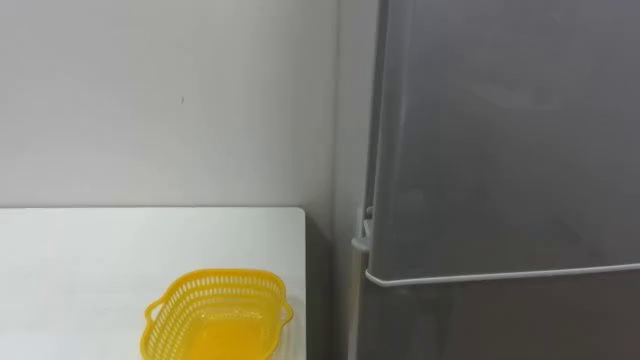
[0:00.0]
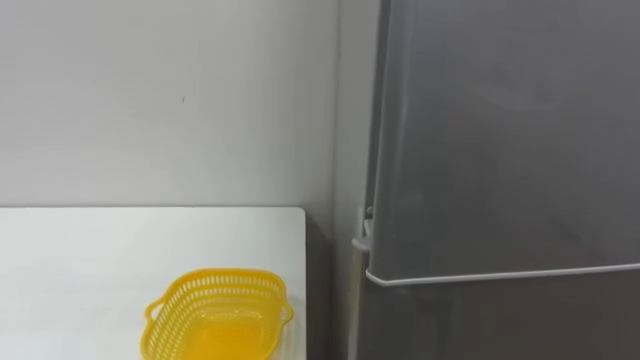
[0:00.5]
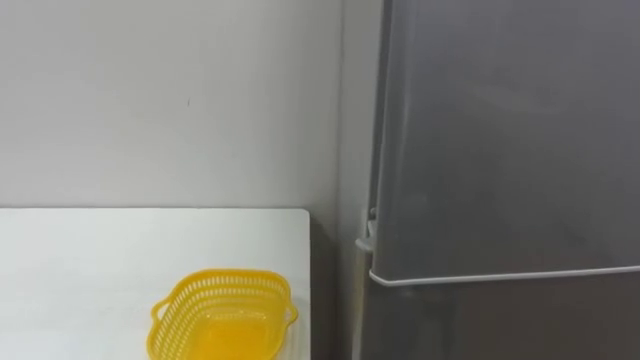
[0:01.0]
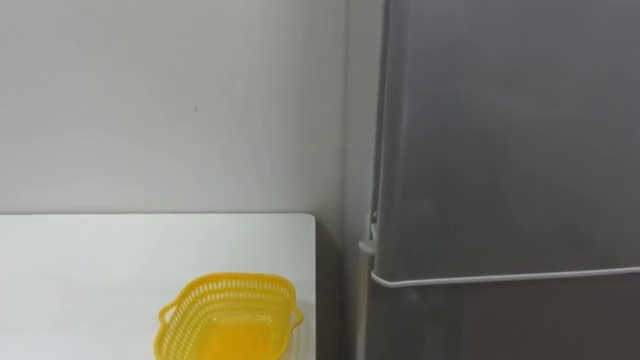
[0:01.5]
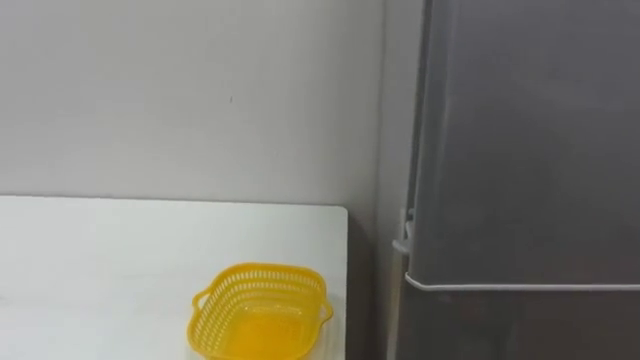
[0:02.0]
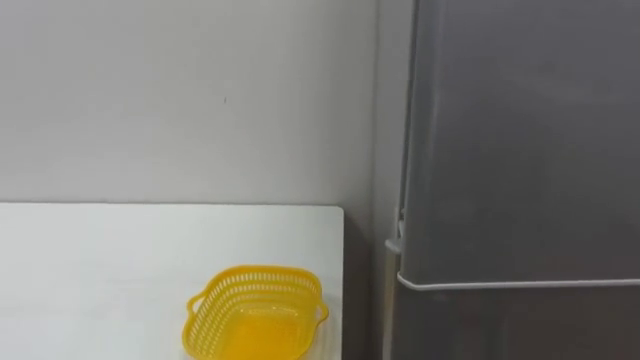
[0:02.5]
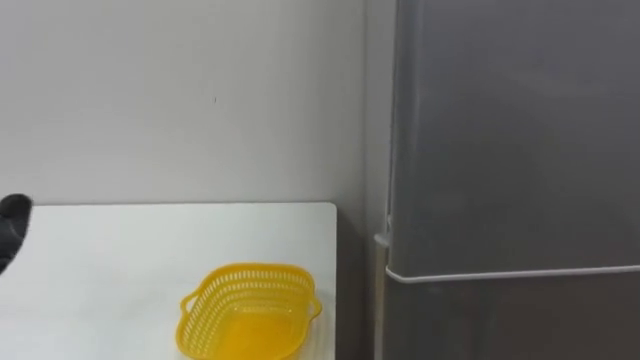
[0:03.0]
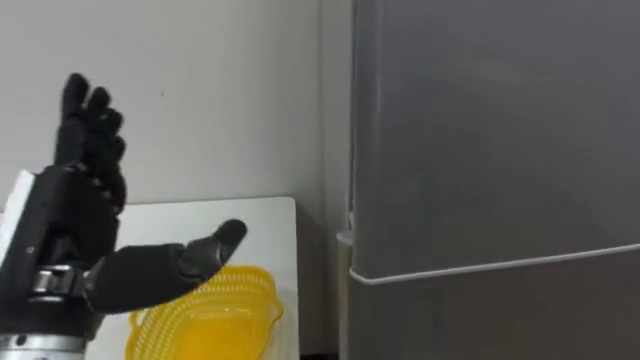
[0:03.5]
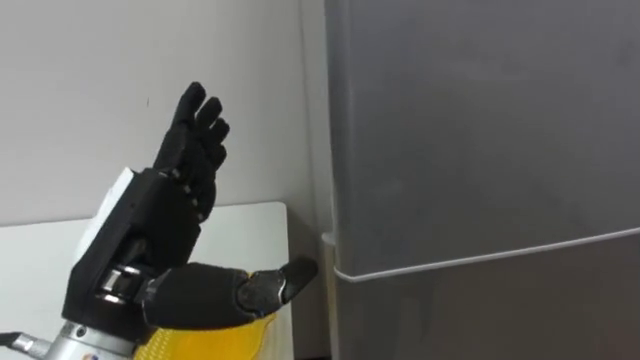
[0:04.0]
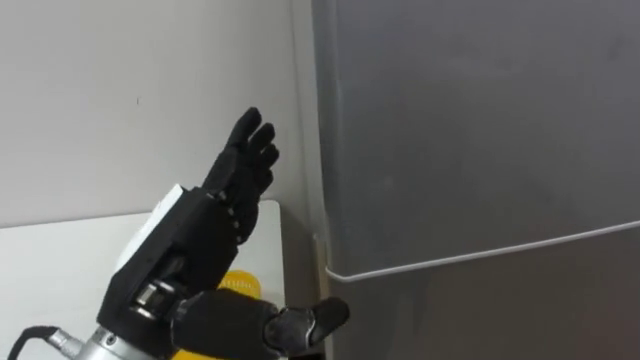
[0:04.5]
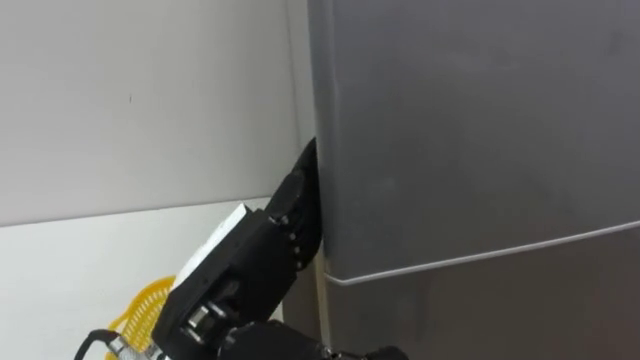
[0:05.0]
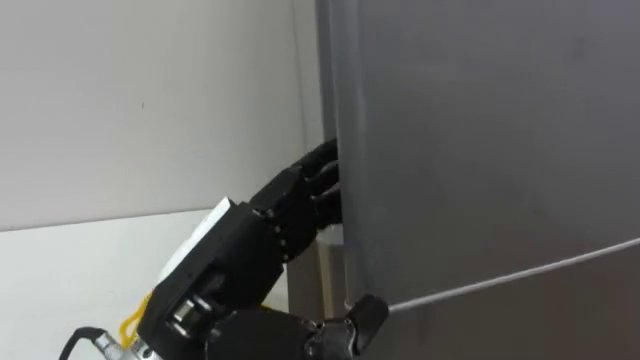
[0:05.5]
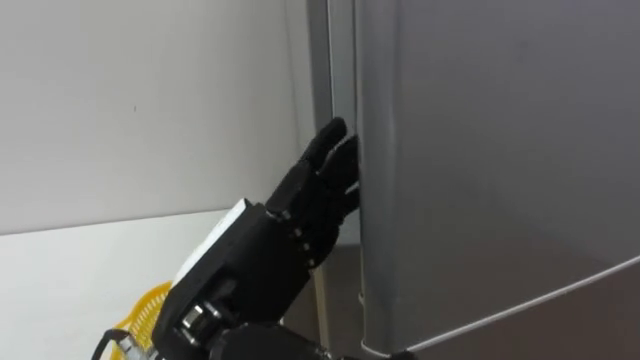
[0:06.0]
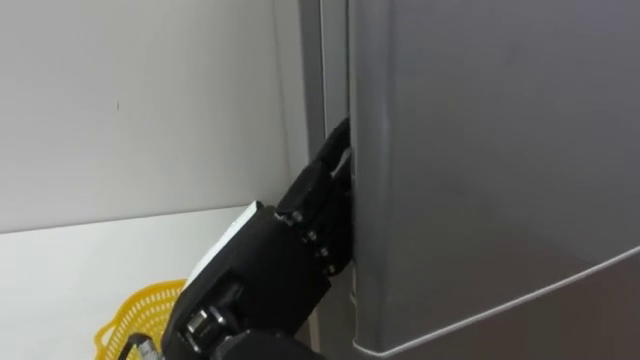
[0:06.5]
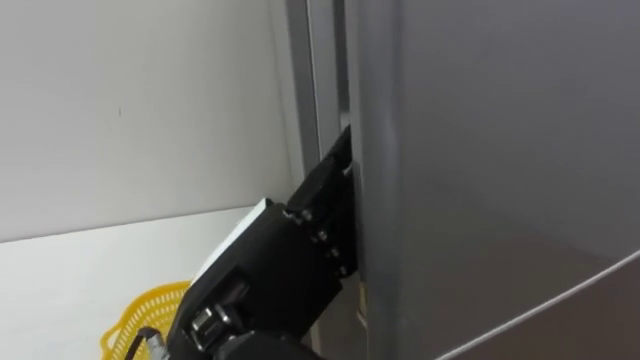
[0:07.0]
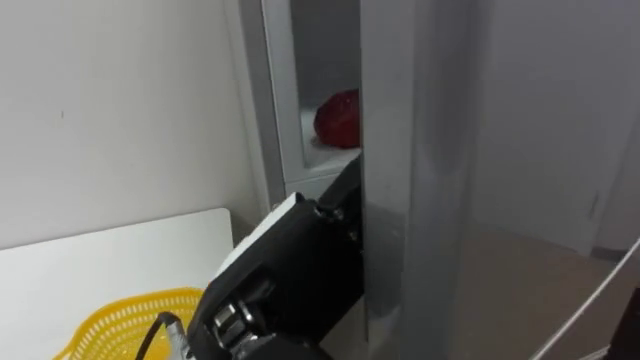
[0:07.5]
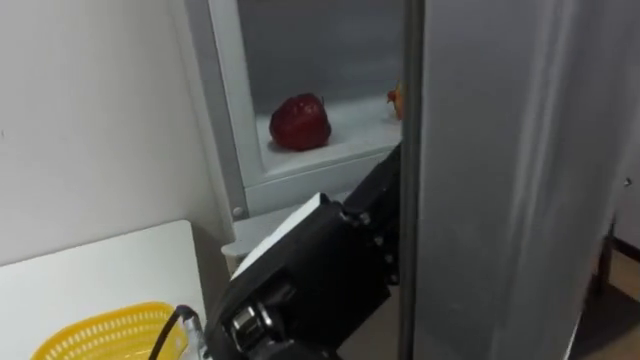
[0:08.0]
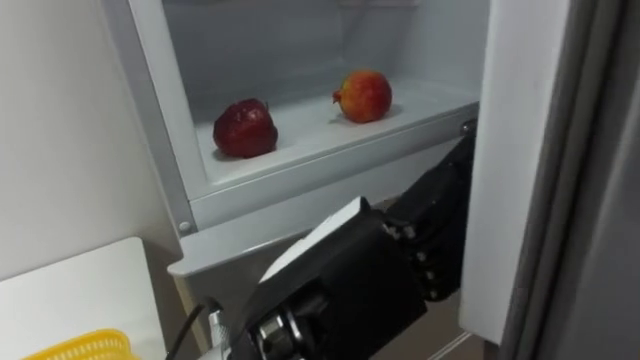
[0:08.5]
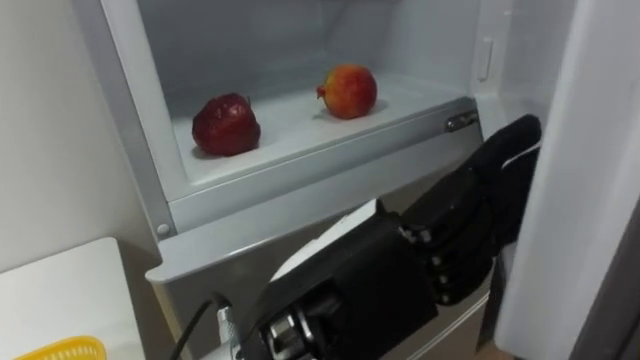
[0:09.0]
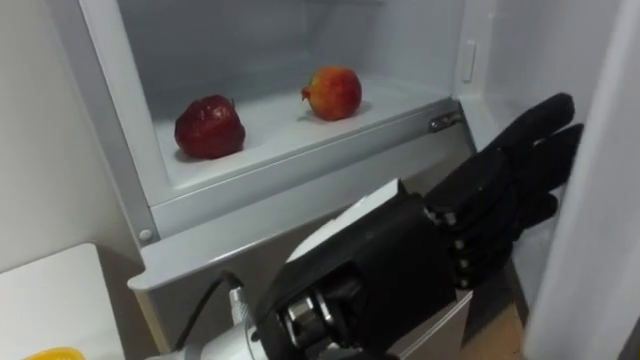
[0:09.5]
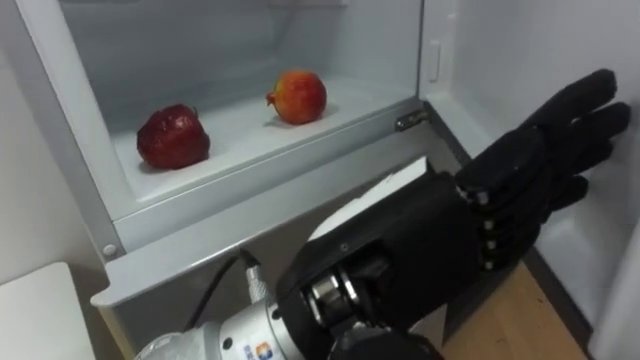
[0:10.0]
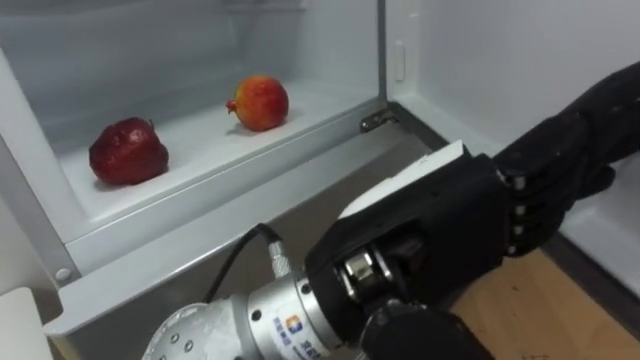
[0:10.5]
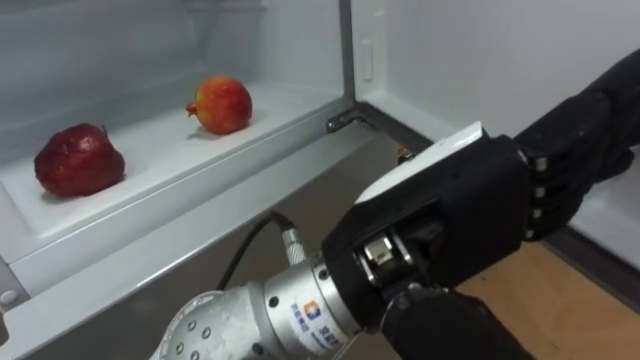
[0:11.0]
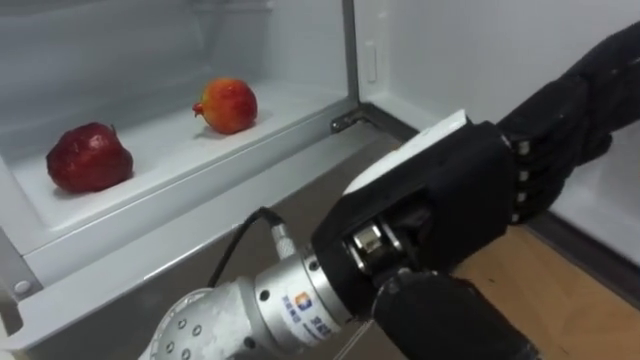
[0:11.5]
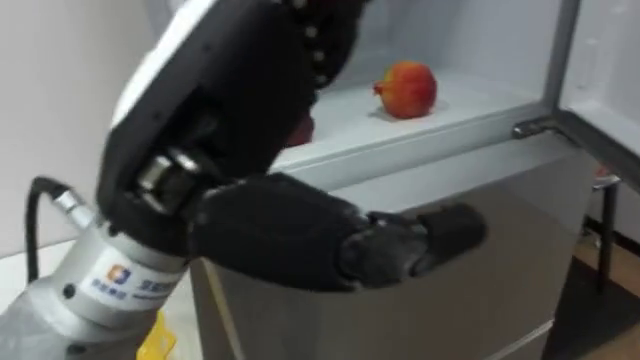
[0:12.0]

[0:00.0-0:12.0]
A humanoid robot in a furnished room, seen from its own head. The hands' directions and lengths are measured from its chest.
Task of the whole recording: Open the refrigerator door, take out the apple and the pomegranate, place them in the fruit basket on the left, and close the refrigerator door.
0:04.0 to 0:06.0: The left hand heads to the right, covering about 5 cm.
0:06.0 to 0:08.0: The left hand shifts by some 5 cm.
0:08.0 to 0:10.0: The left hand moves about 5 cm.
0:10.0 to 0:12.0: The left hand is displaced to the left and upward by about 10 cm.

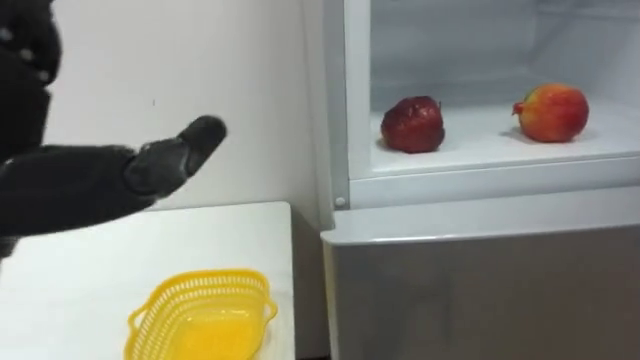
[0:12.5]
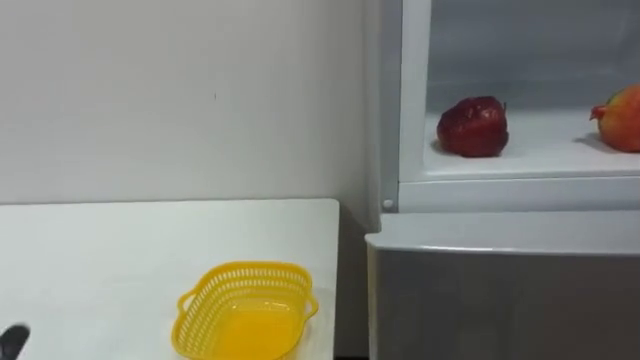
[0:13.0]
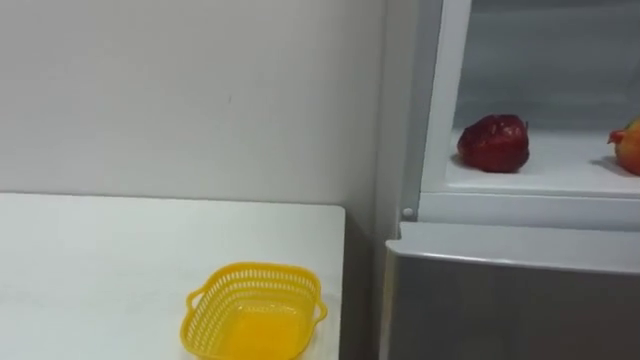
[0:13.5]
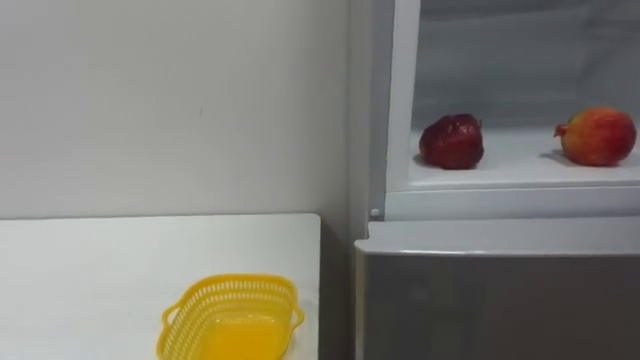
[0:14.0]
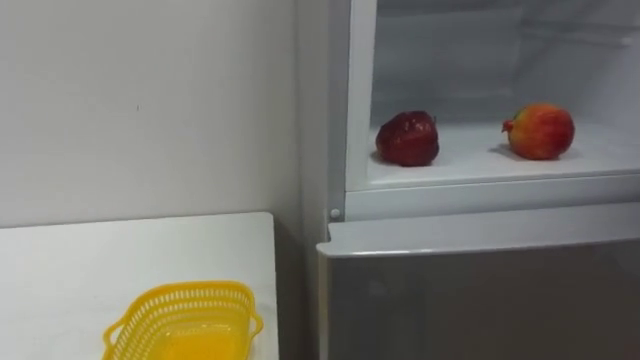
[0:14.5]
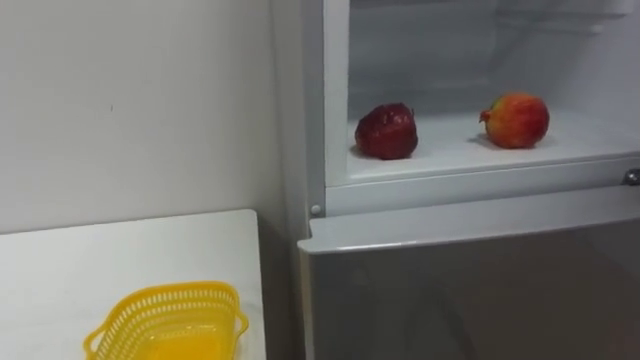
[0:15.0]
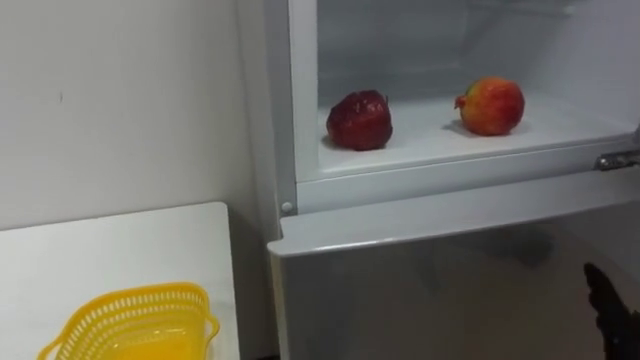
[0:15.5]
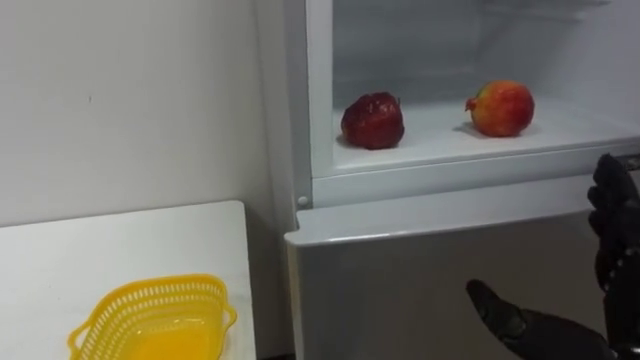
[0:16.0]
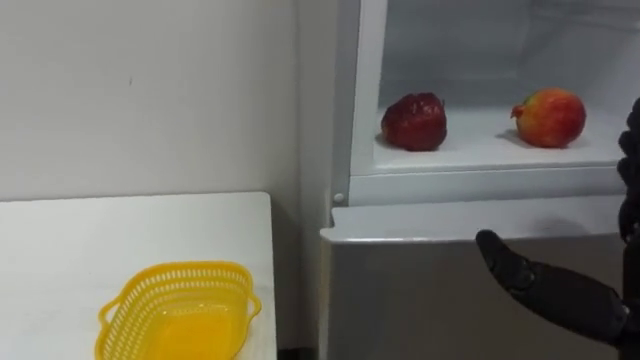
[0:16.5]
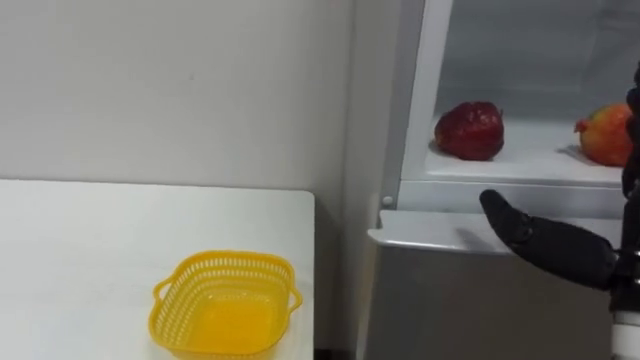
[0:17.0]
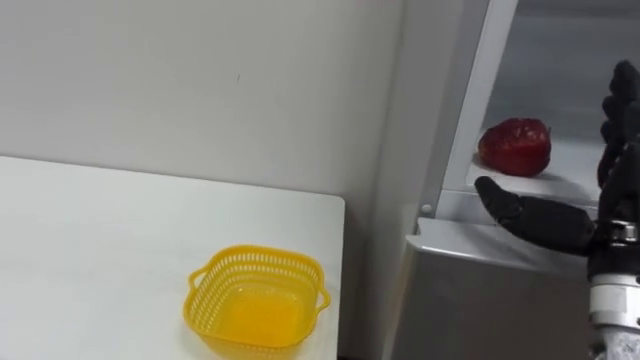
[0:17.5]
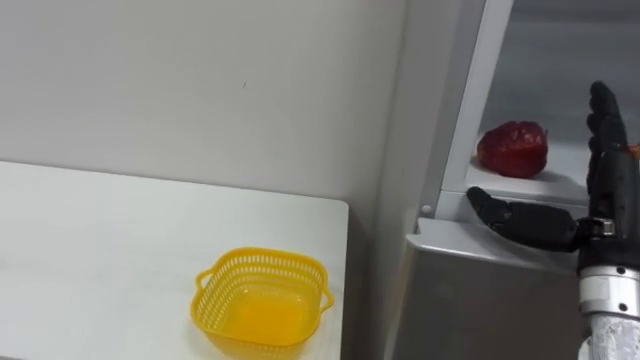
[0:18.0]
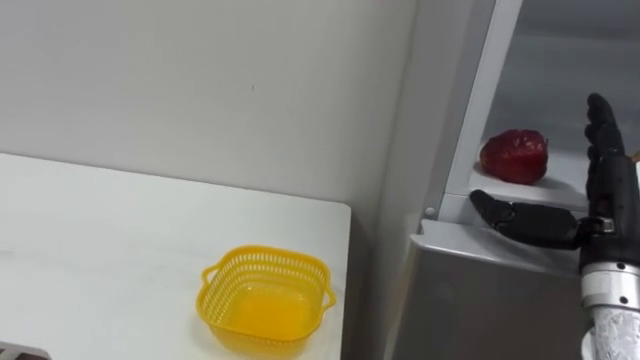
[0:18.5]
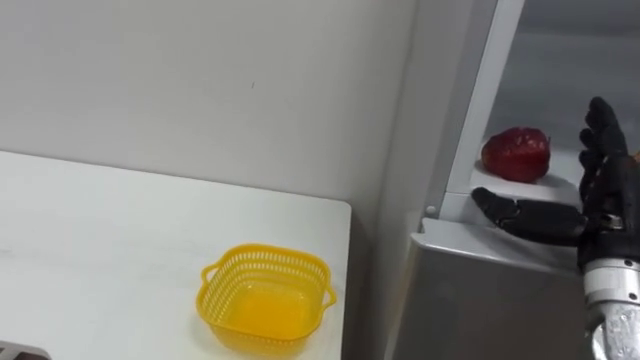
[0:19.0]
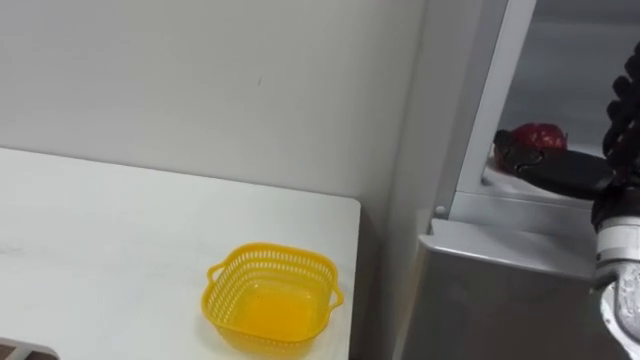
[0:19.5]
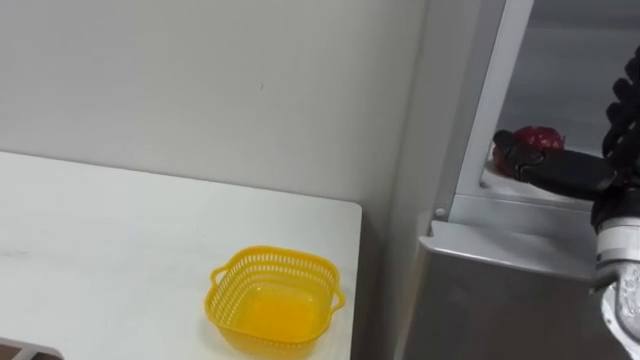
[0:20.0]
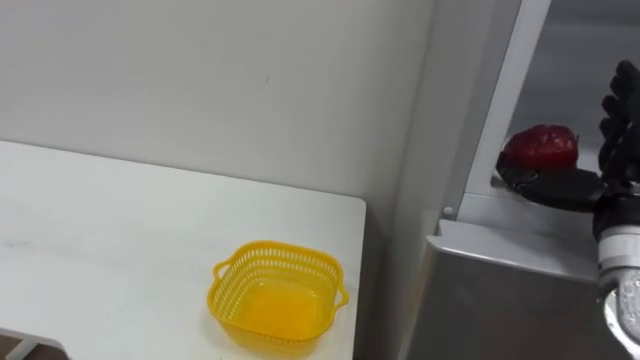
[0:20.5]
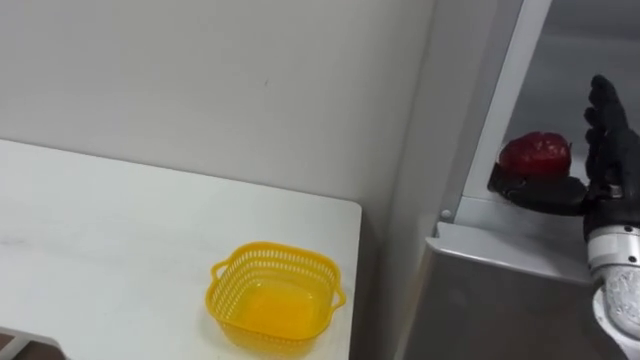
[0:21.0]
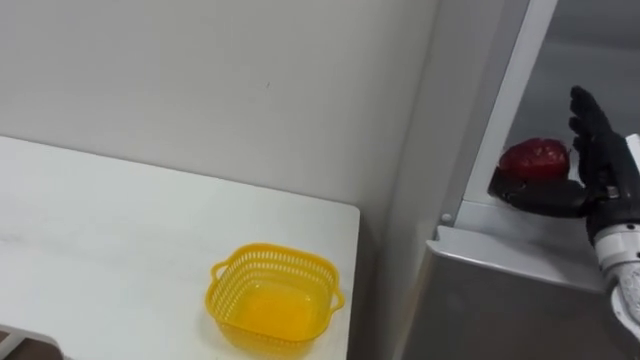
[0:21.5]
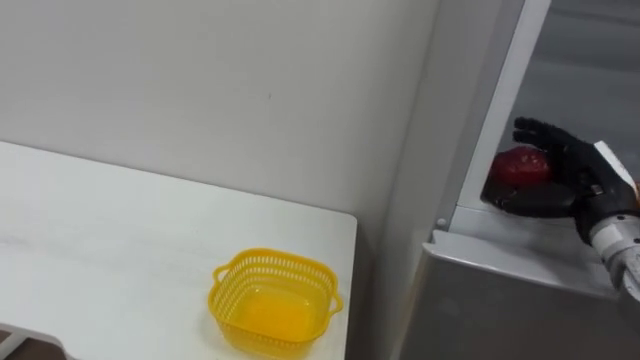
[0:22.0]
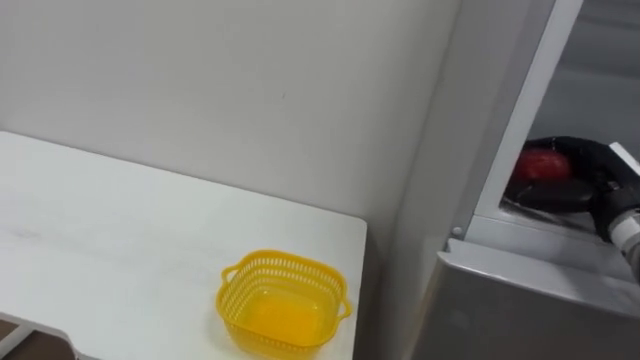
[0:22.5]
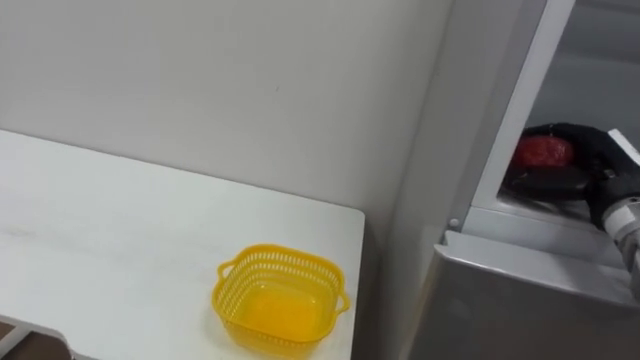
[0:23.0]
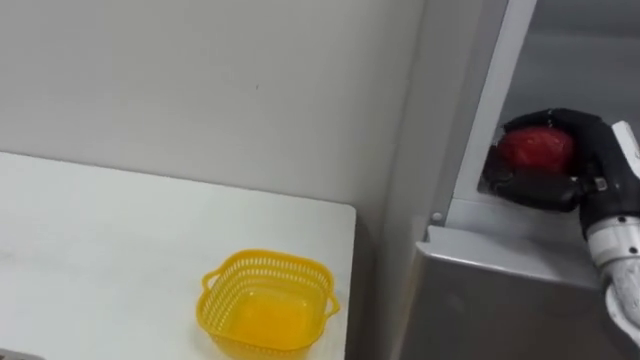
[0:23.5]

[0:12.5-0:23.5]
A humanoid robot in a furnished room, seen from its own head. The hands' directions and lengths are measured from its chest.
Task of the whole recording: Open the refrigerator door, take out the apple and the pomegranate, place them in the fruit basket on the left, and close the refrigerator door.
0:16.0 to 0:18.0: The right hand moves forward, about 10 cm.
0:20.0 to 0:21.5: The right hand moves roughly 5 cm.
0:21.5 to 0:23.5: The right hand closes.
